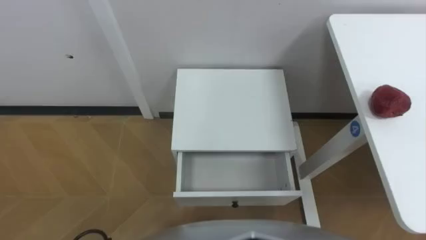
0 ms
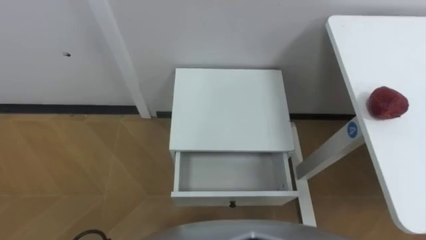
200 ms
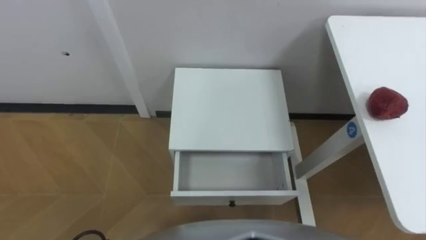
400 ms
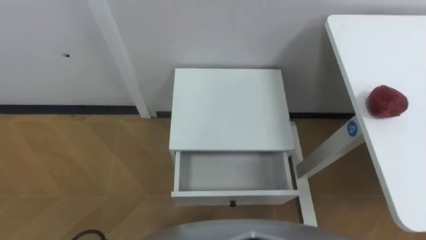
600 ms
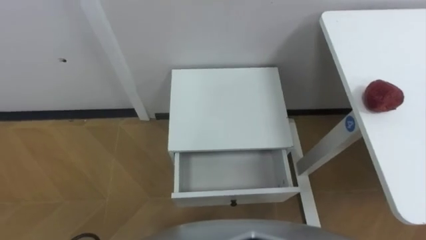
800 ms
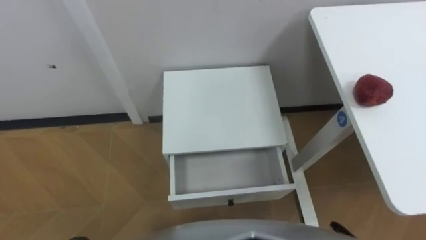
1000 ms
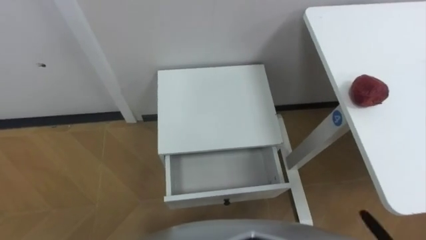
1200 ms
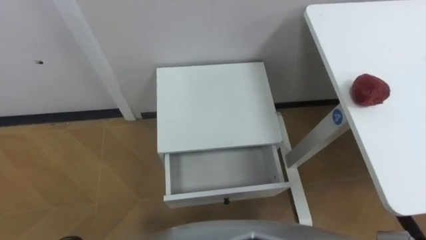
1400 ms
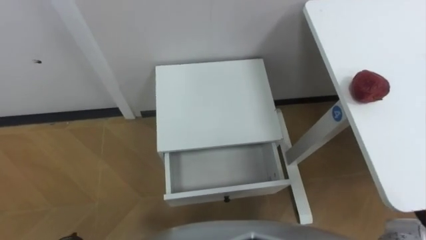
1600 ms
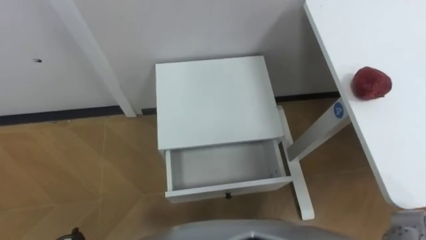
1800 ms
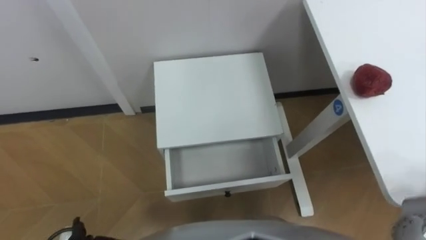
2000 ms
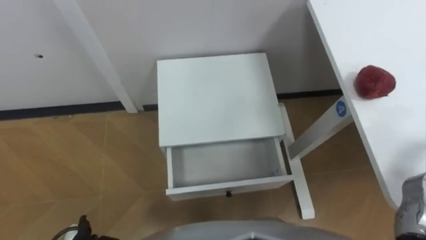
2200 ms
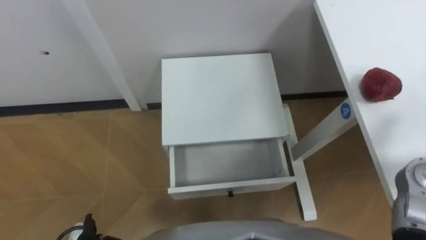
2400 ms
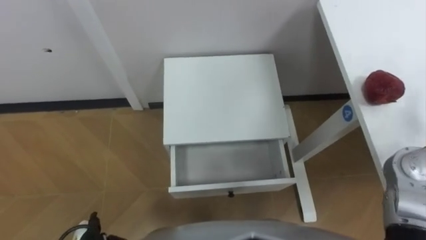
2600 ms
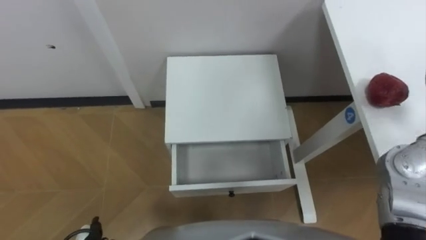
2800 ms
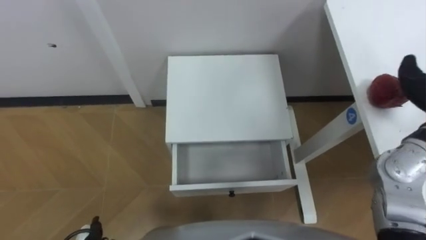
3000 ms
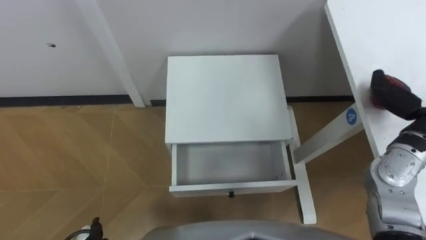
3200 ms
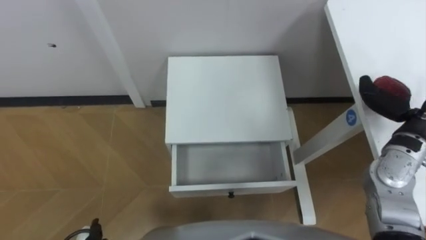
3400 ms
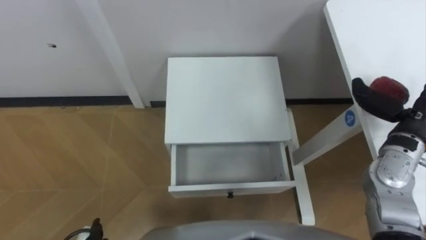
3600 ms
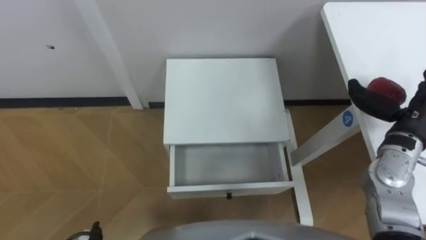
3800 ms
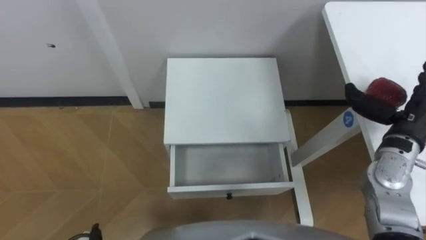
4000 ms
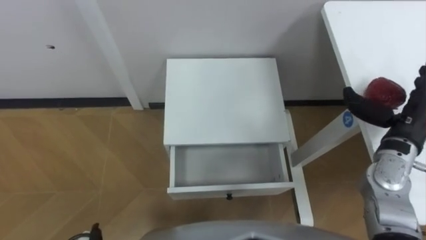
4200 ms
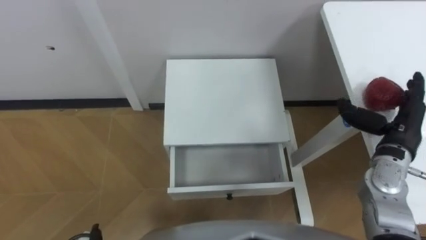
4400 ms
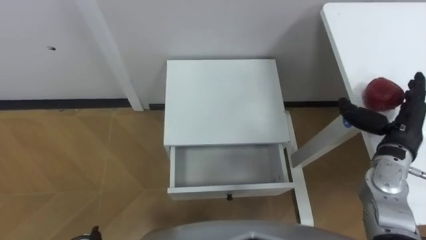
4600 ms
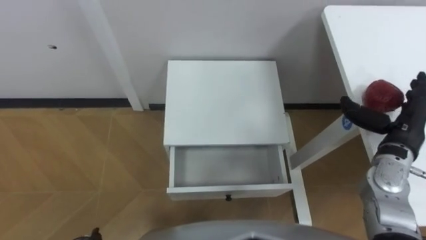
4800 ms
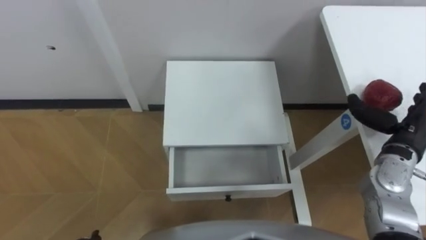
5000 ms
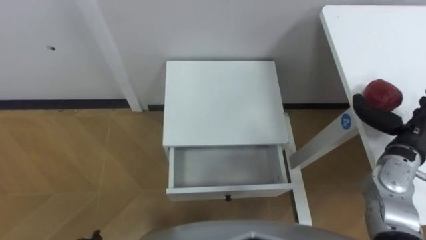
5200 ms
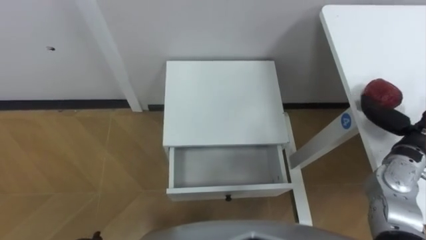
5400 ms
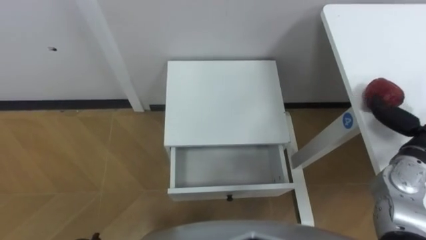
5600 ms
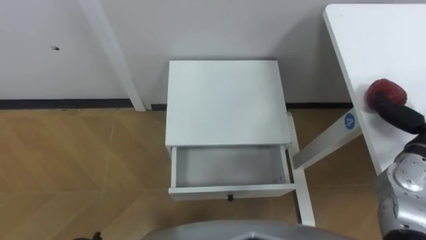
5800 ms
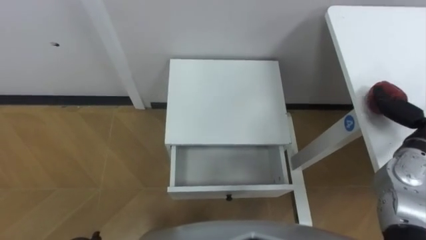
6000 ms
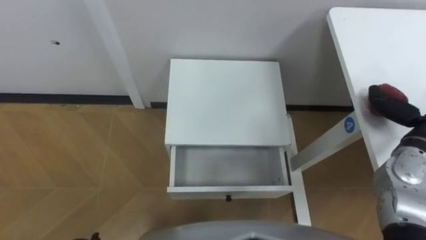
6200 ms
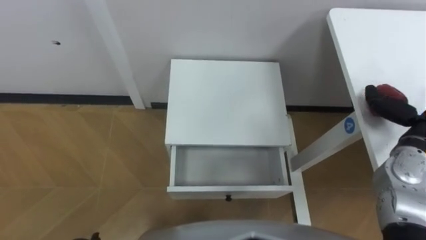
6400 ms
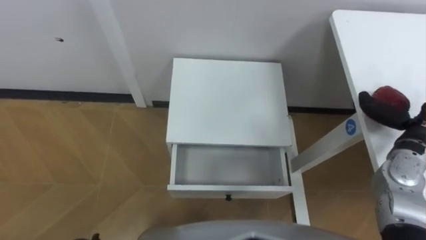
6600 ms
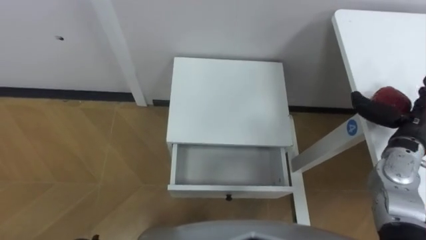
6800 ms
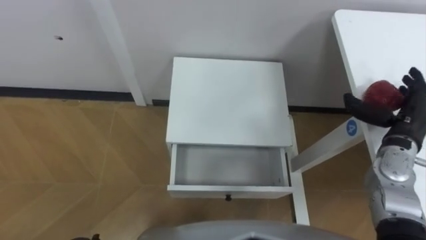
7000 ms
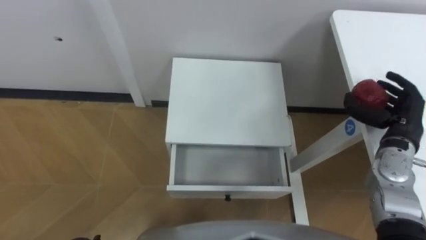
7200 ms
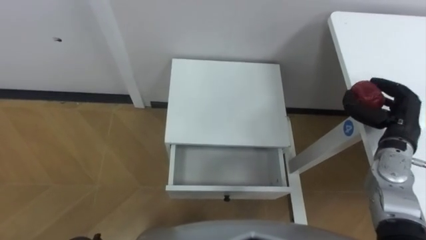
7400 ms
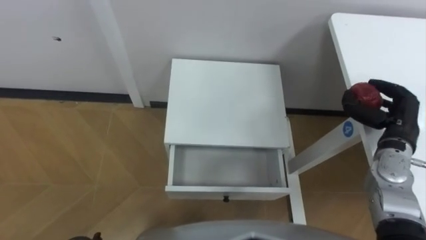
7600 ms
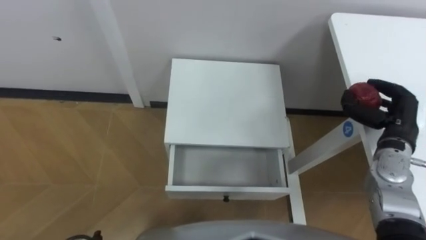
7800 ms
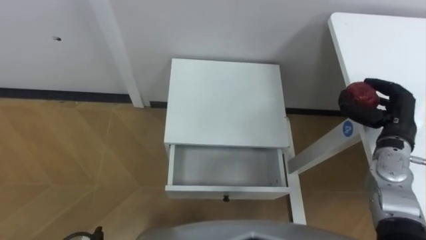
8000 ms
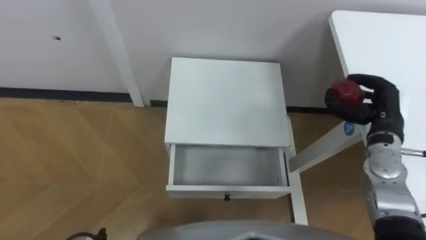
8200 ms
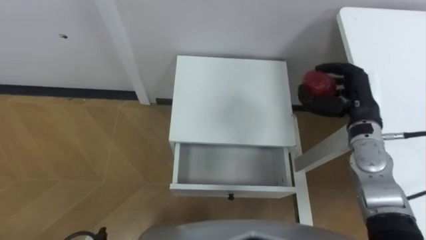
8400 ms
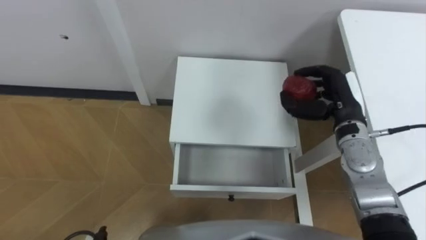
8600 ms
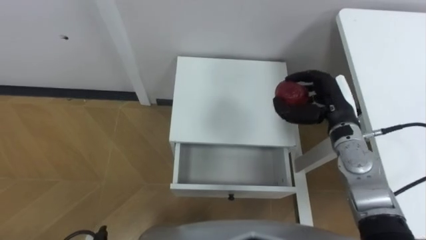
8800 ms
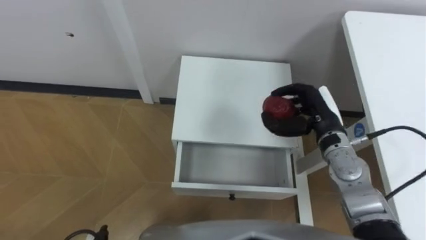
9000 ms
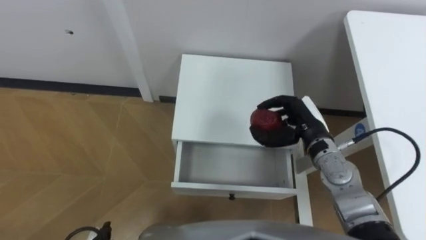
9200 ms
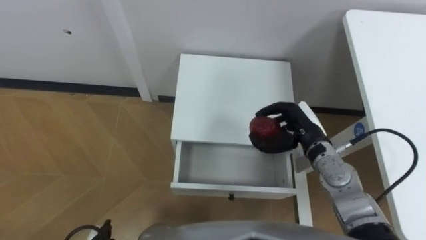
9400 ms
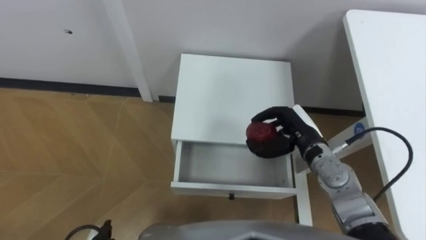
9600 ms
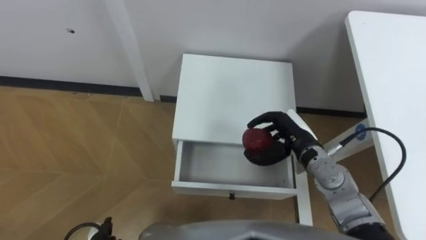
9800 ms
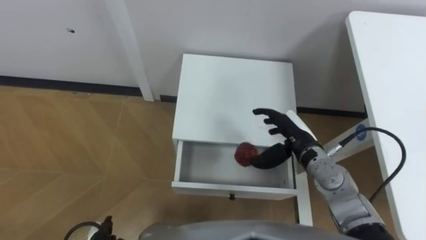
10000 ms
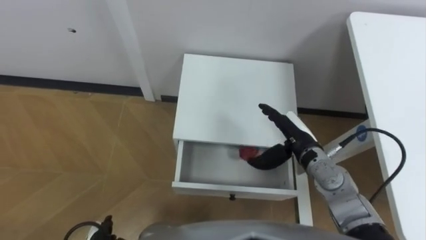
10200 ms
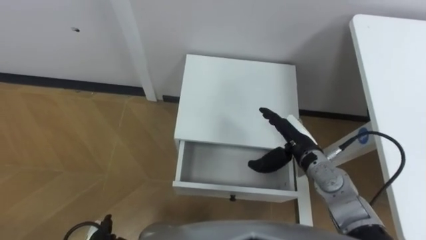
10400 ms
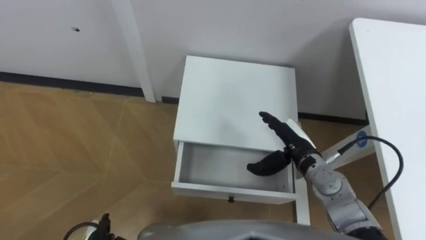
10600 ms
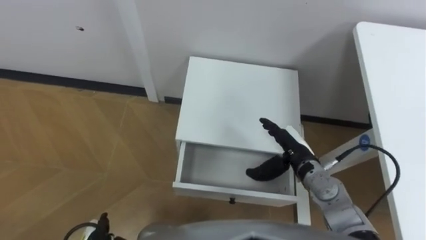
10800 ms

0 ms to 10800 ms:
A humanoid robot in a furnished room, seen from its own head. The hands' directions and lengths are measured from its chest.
Task of the whole recording: Pick up the apple from the table, put it in the drawer, and close the drawer with leg.
7800 ms to 9200 ms: The right hand goes about 15 cm to the left.
9200 ms to 10800 ms: The right hand heads downward, covering approximately 5 cm.

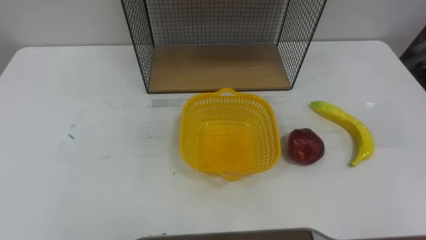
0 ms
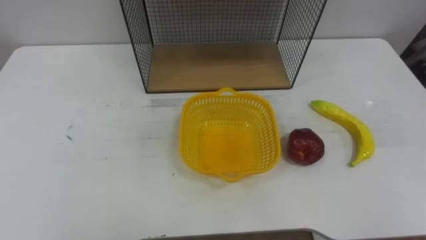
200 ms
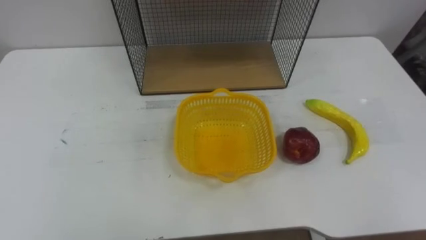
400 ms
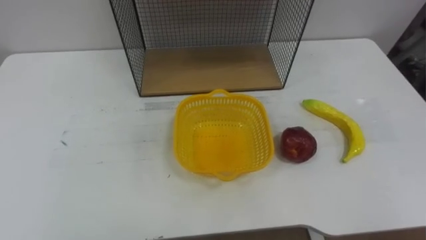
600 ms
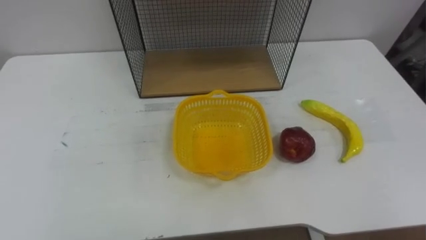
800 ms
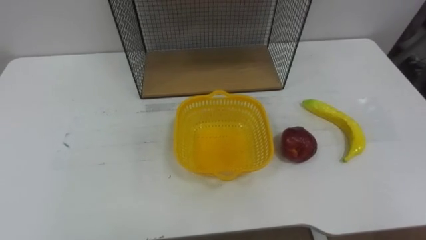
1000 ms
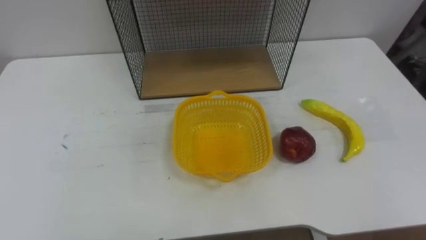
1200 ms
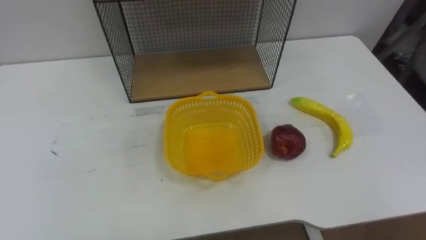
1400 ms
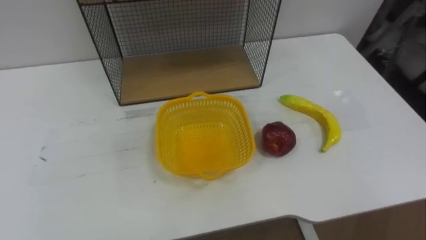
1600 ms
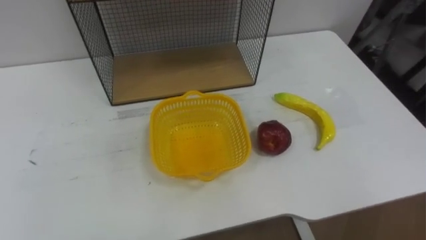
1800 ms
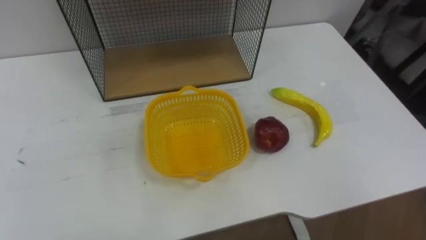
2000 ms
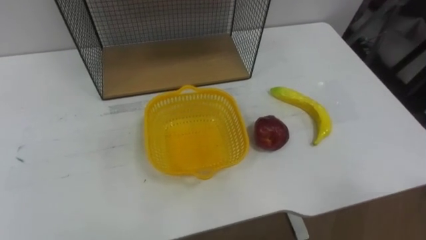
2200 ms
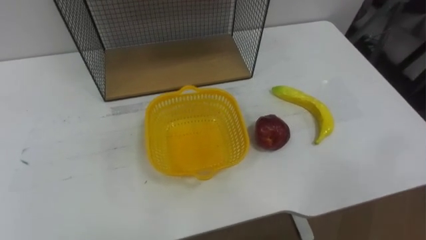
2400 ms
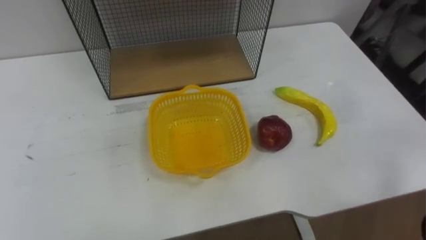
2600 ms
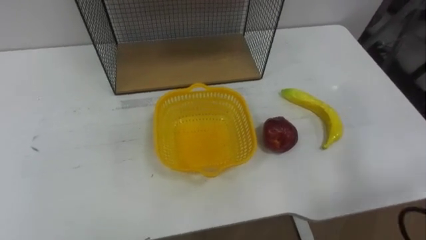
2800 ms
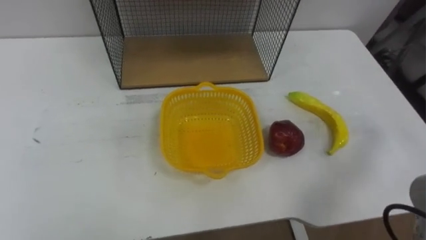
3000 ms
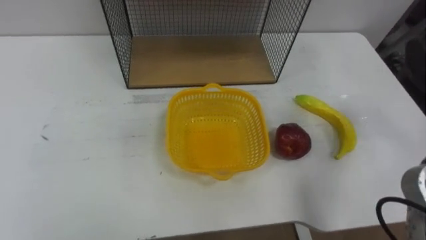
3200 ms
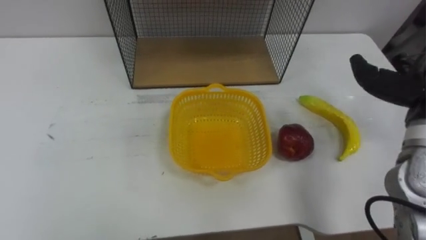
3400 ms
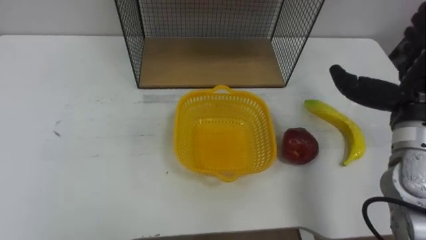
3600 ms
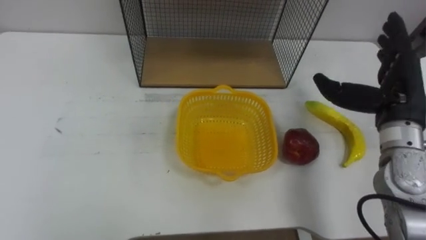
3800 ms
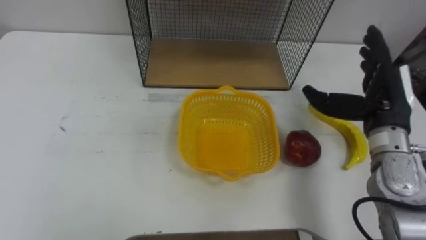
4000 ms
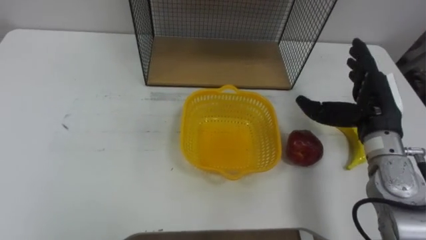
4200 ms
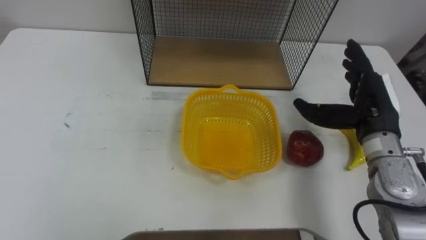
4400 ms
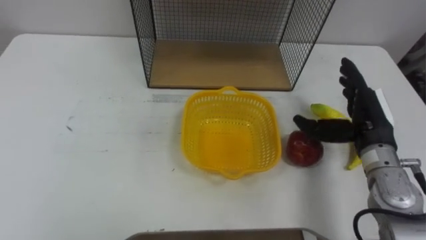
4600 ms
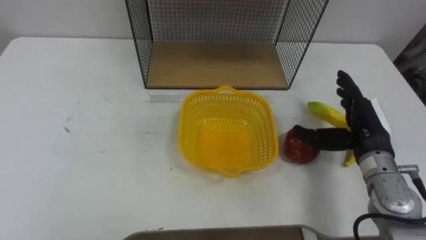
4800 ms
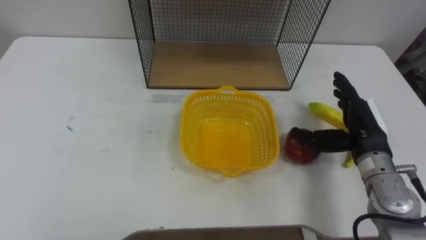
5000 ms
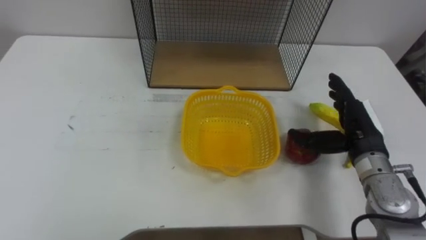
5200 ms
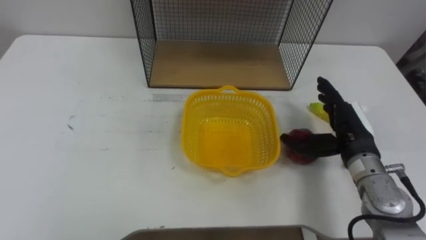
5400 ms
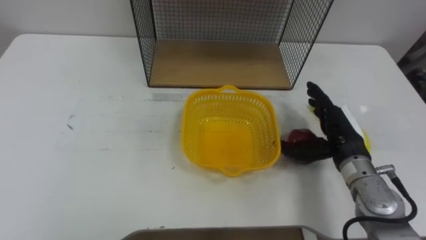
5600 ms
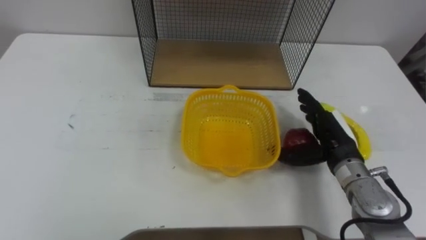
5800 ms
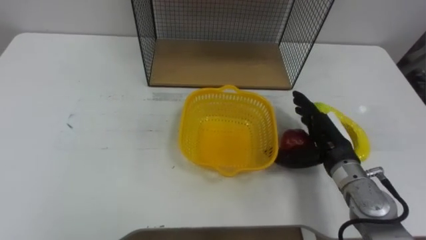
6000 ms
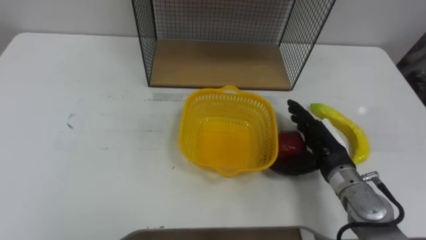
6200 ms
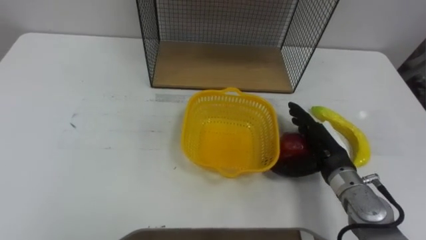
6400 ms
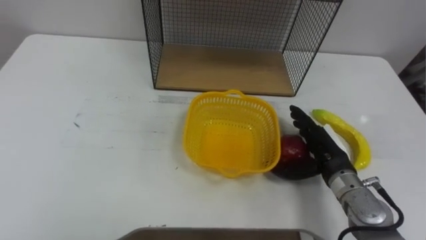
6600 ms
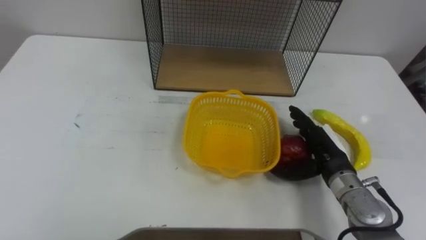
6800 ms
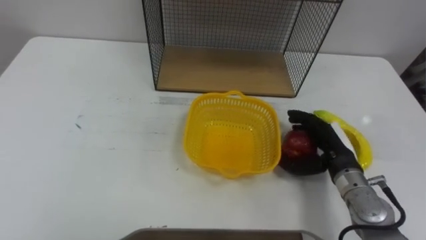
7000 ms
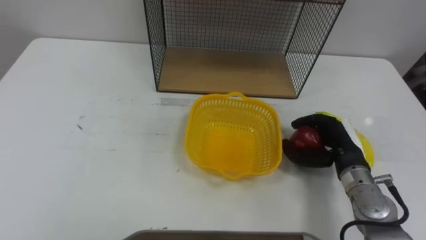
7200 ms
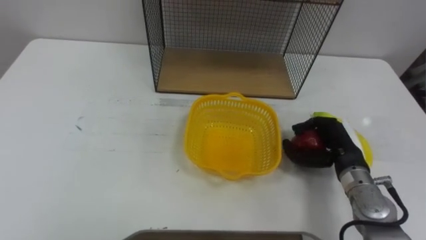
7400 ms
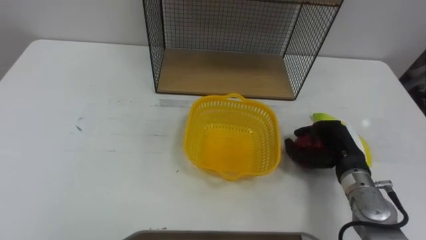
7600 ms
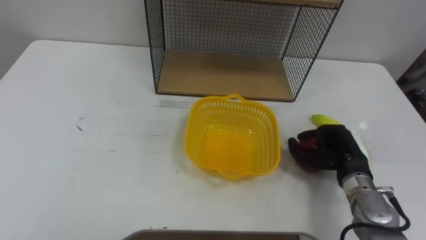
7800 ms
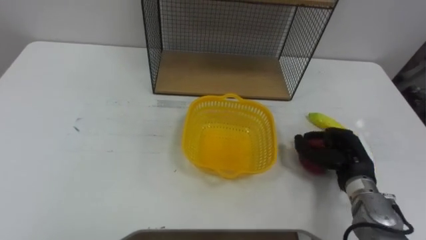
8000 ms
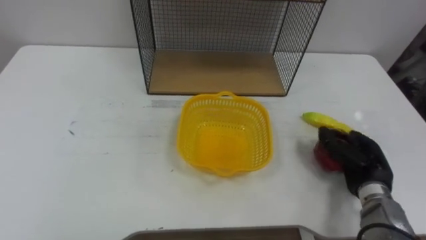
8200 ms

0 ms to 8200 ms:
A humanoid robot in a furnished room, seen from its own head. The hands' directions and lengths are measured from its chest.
Task of the whole recording: Put the fruit on the table into the basket, then place the basket on the shelf.
5000 ms to 6600 ms: The right hand shifts about 5 cm downward.
6600 ms to 8200 ms: The right hand moves to the right, some 10 cm, and closes its fingers.
